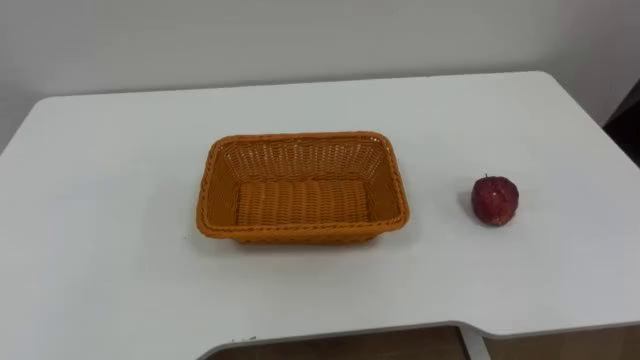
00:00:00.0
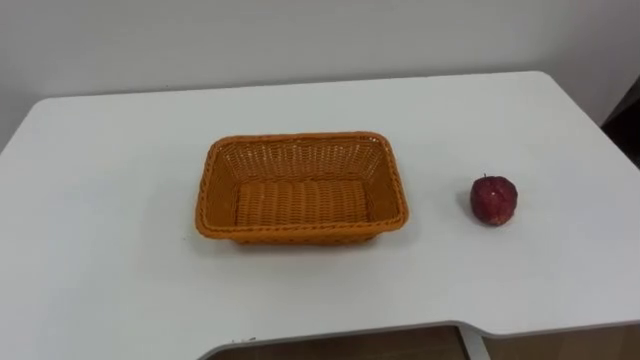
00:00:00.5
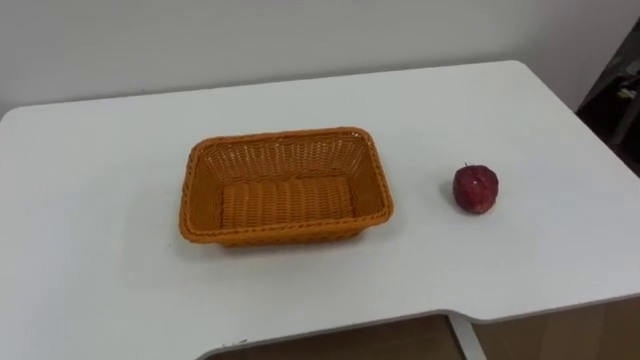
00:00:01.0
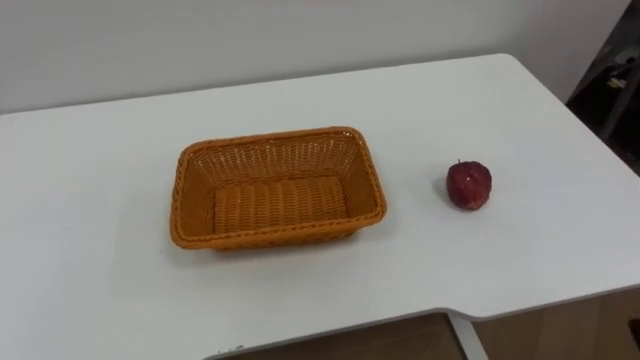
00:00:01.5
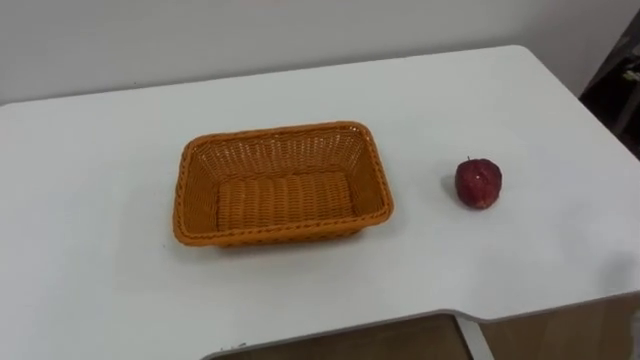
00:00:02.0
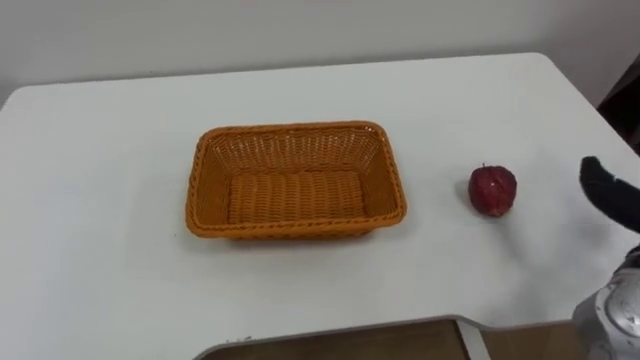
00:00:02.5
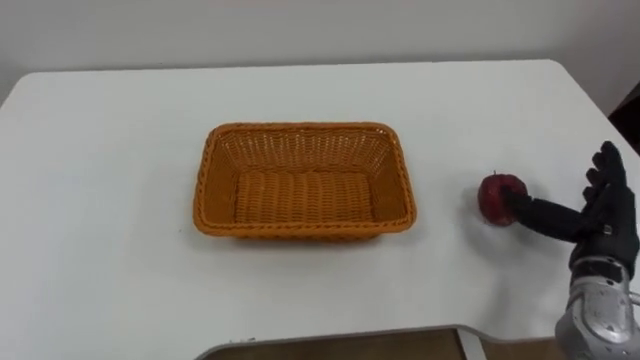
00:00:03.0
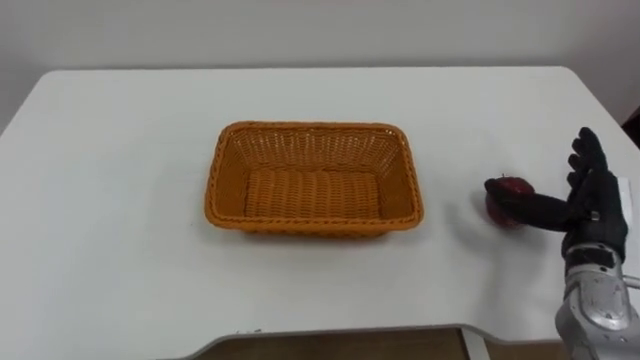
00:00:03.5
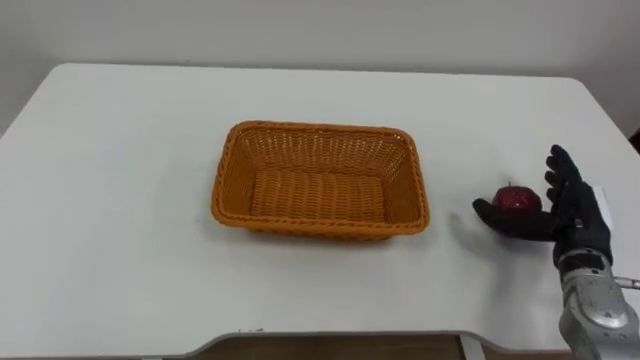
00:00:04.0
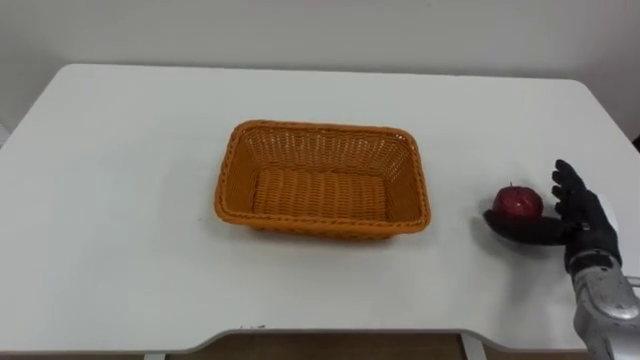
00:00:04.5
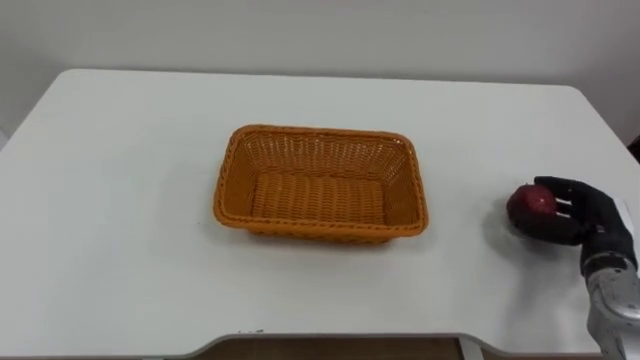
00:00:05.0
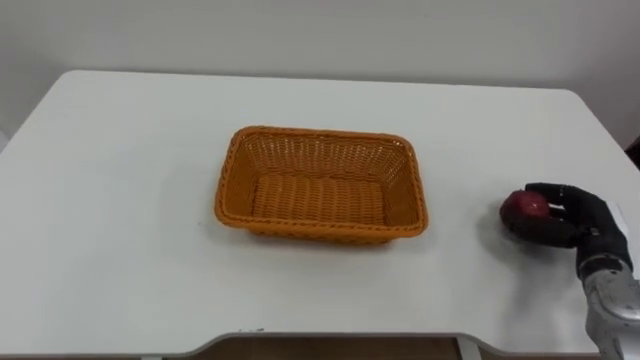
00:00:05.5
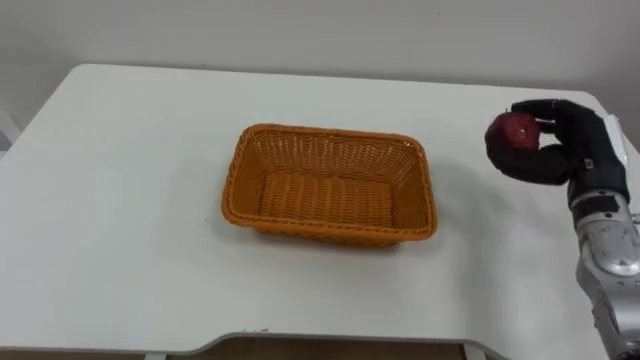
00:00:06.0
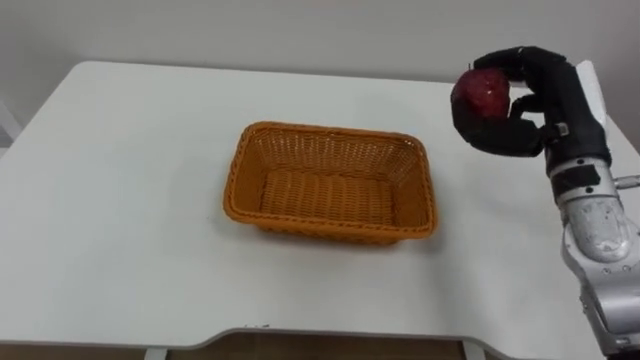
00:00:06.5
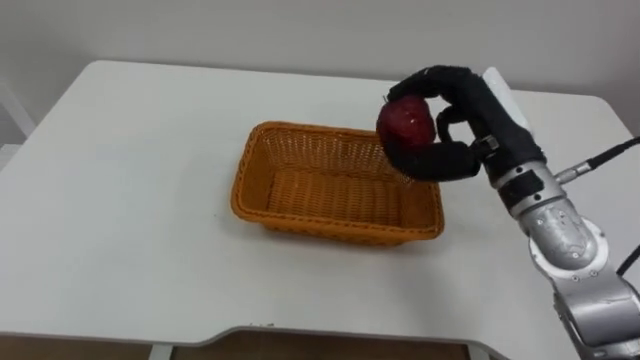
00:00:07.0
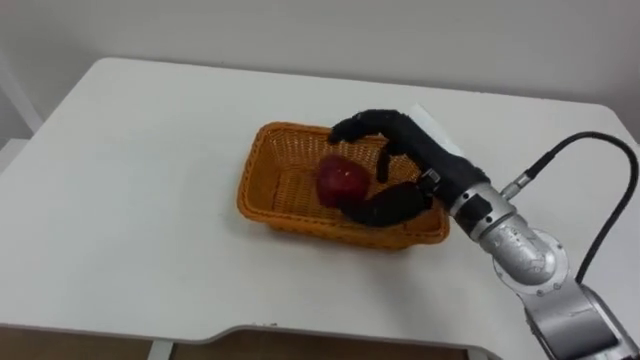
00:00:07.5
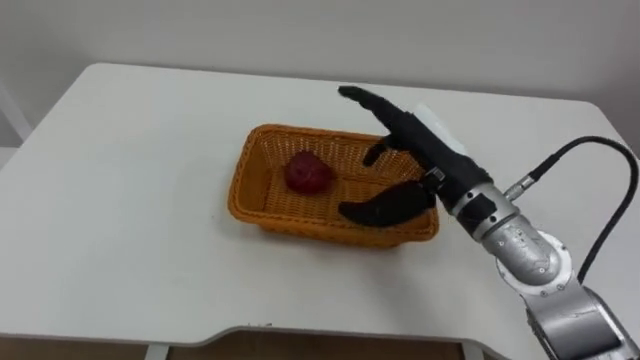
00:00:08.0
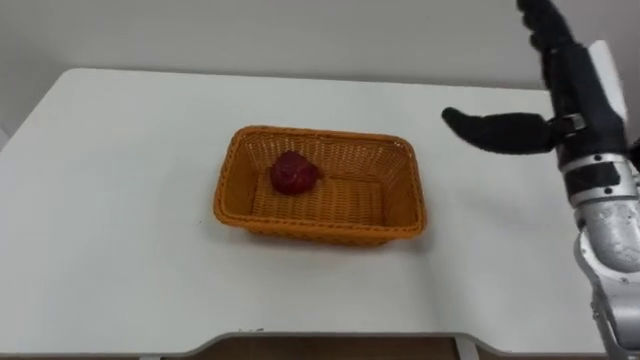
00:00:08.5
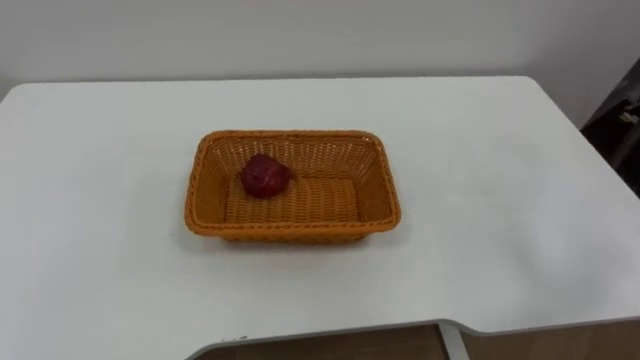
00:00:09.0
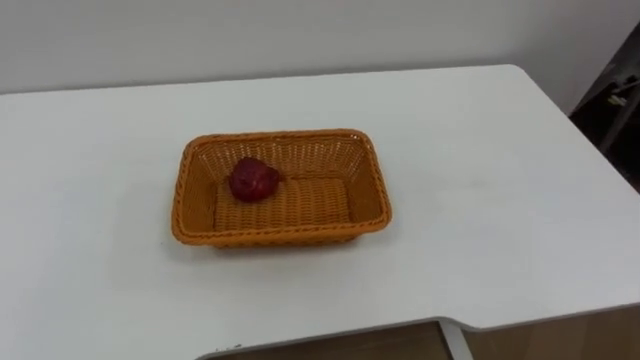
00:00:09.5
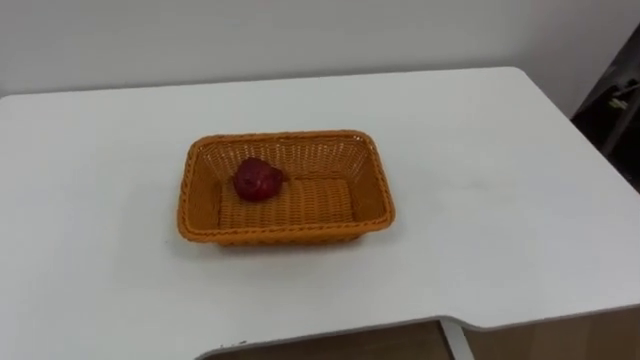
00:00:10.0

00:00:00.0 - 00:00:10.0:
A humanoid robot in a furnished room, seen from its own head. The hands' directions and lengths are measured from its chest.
Task of the whole recording: Pick the apple and place it in the box.
00:00:04.0 - 00:00:06.0: The right hand goes roughly 5 cm upward, and closes up.
00:00:06.0 - 00:00:08.0: The right hand moves to the left, roughly 20 cm, and opens up.

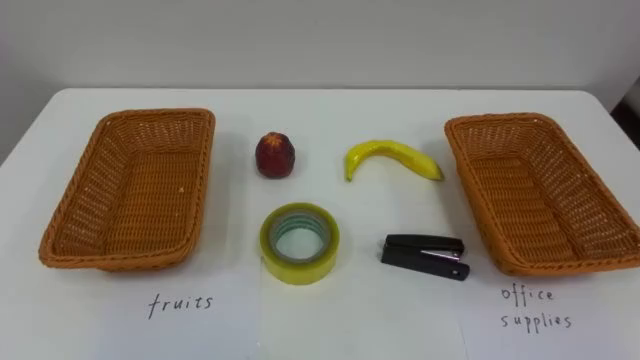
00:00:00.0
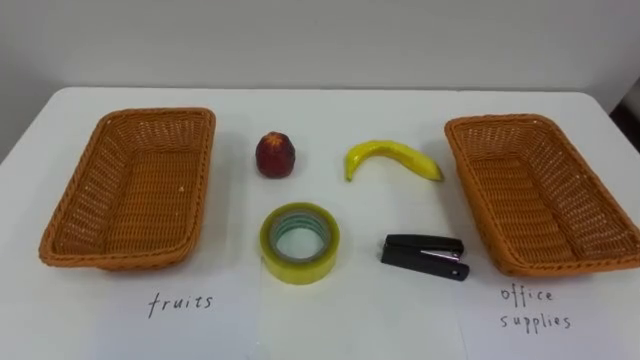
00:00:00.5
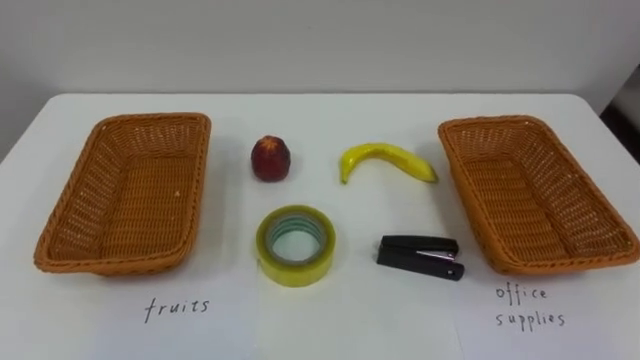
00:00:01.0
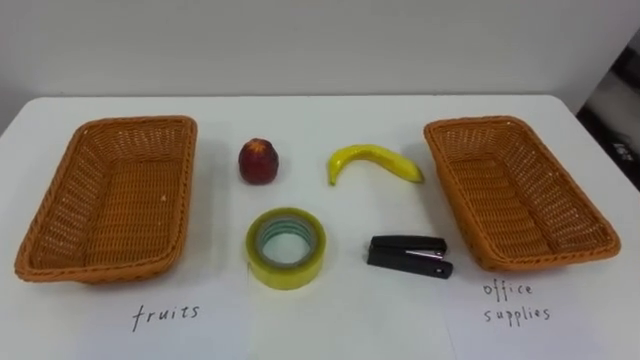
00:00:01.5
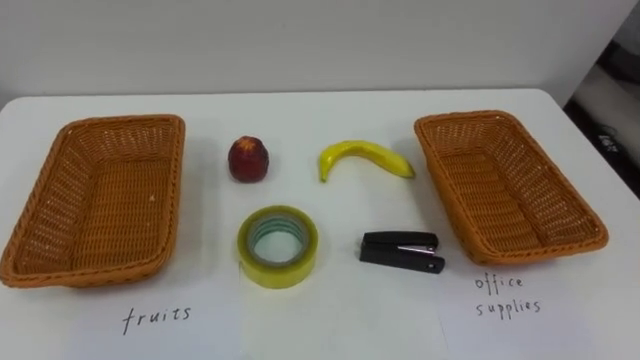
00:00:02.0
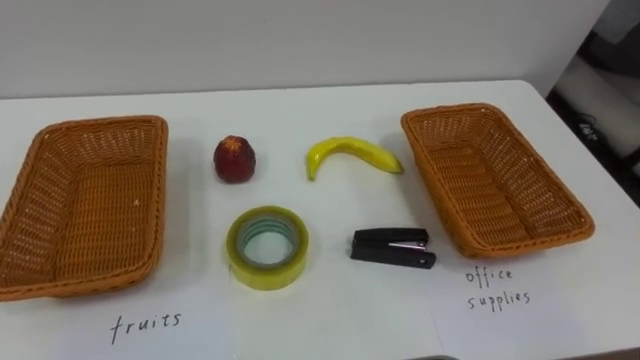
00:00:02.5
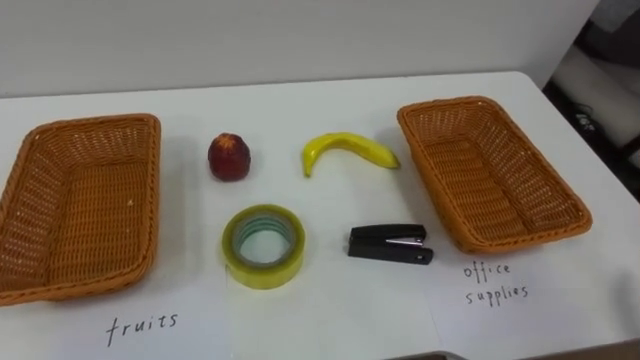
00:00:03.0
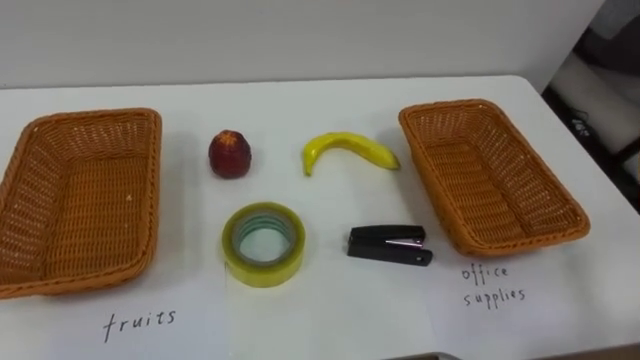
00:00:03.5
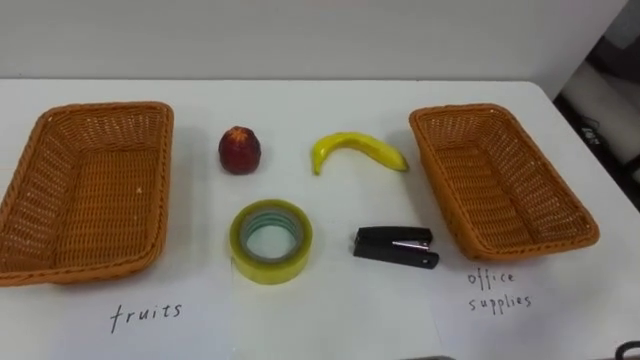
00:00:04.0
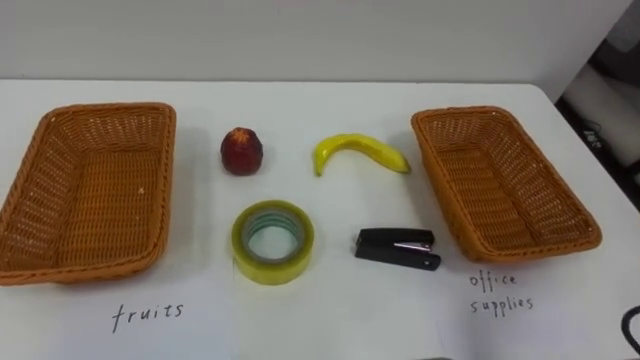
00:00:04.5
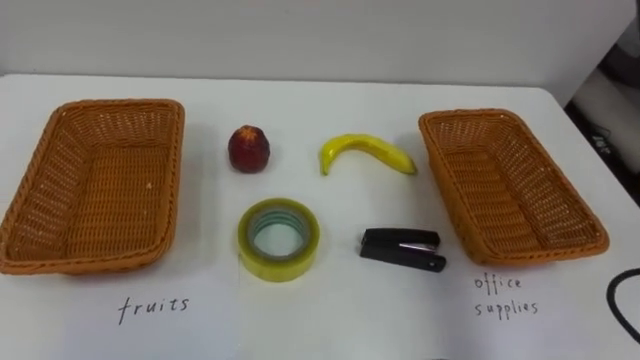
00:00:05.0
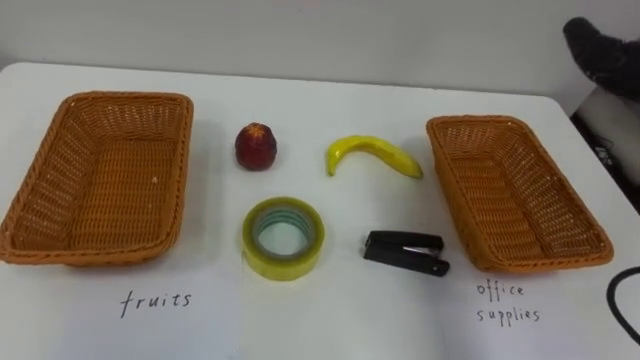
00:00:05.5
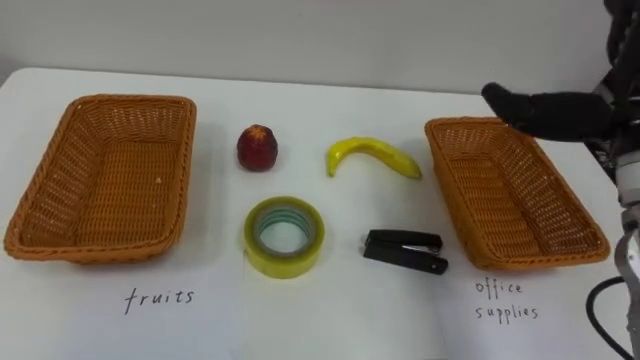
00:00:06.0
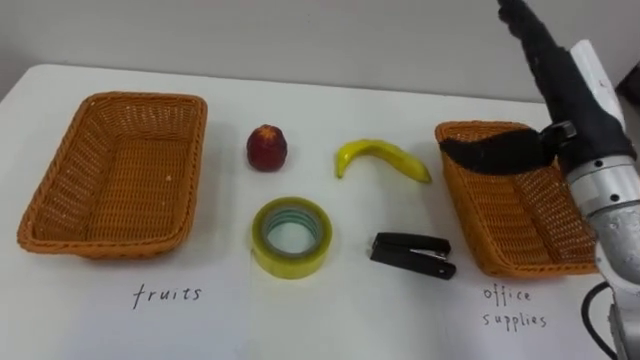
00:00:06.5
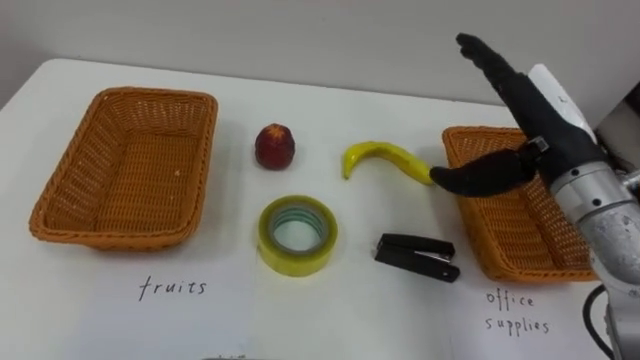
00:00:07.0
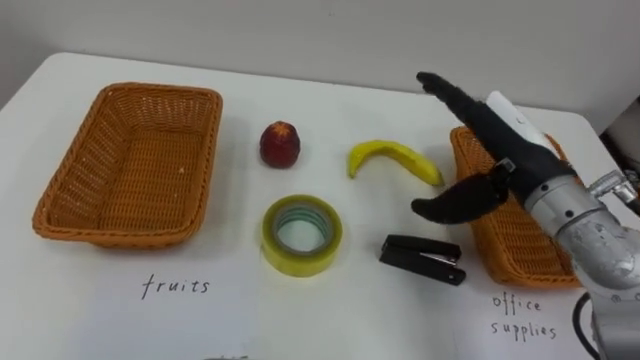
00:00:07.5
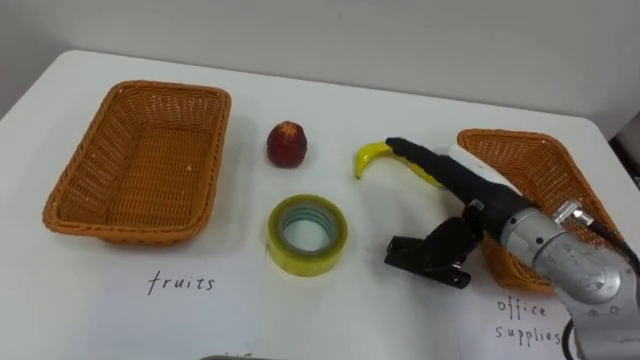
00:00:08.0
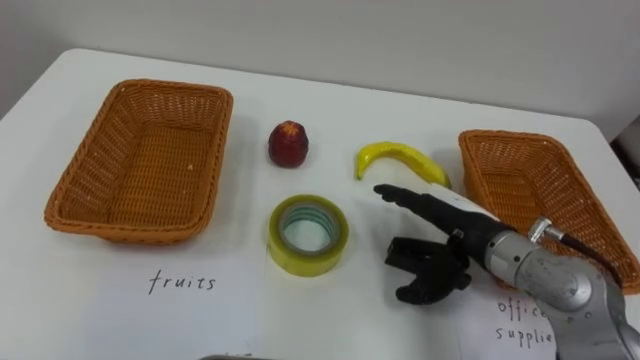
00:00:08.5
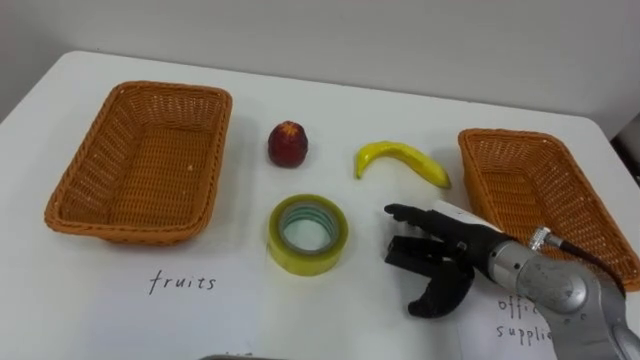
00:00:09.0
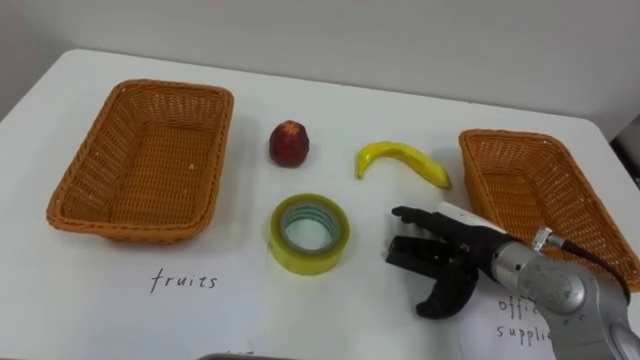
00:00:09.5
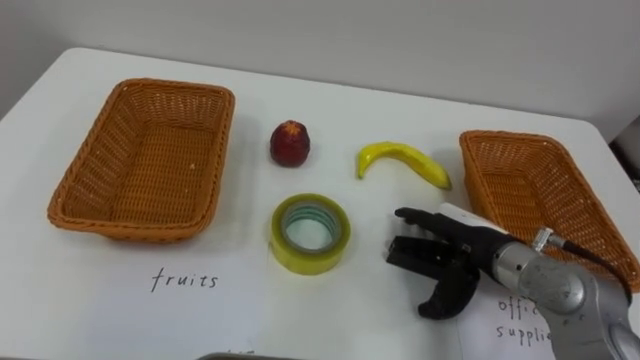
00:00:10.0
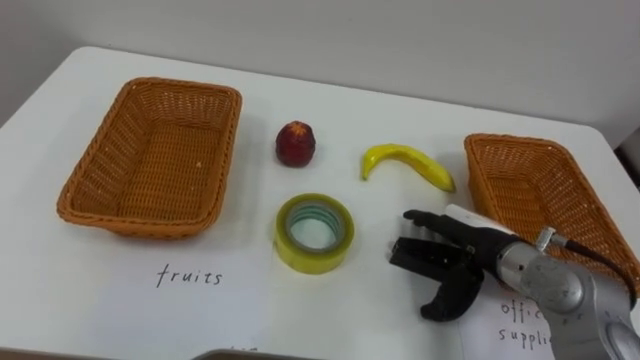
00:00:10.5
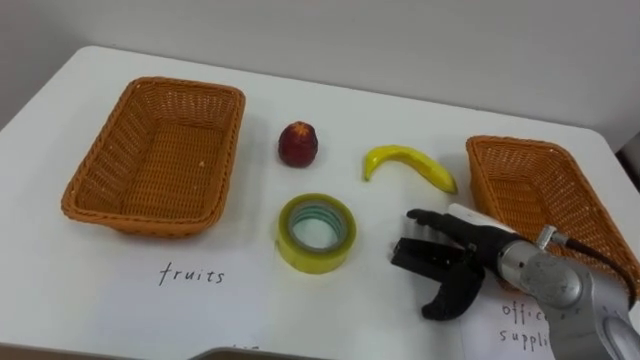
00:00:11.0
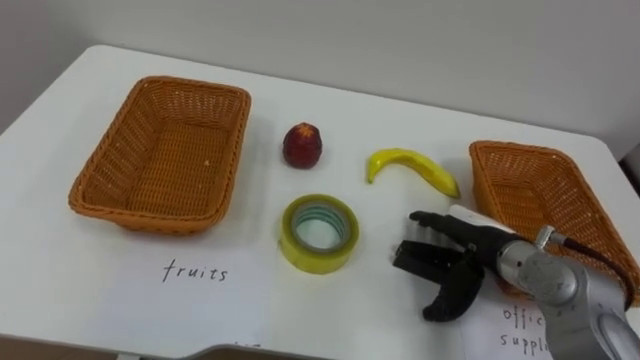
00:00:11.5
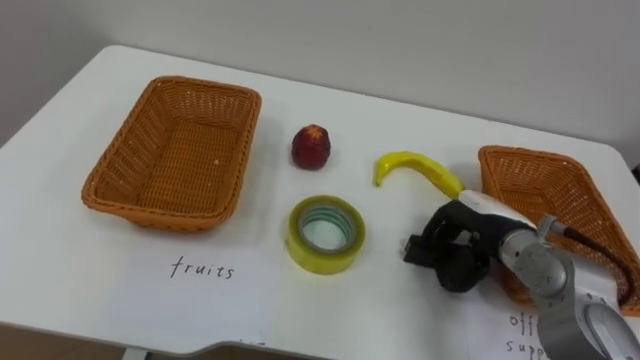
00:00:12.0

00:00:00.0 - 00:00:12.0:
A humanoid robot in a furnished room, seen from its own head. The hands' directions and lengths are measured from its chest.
Task of the whole recording: Separate the items on the table and place them into the two baskets.
00:00:06.0 - 00:00:08.0: The right hand shifts approximately 15 cm downward and to the left.
00:00:08.0 - 00:00:10.0: The right hand shifts roughly 5 cm downward.
00:00:10.0 - 00:00:12.0: The right hand closes its fingers.
